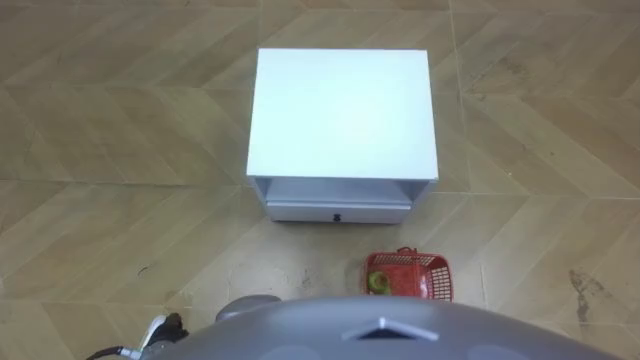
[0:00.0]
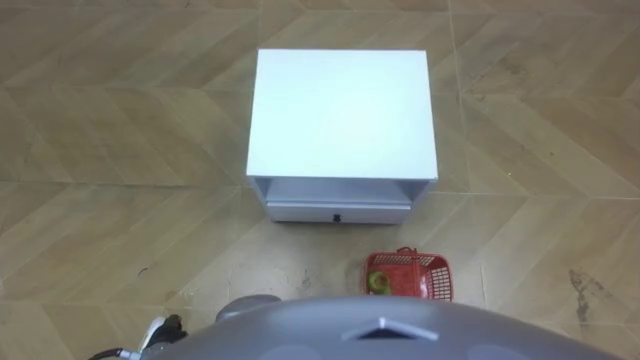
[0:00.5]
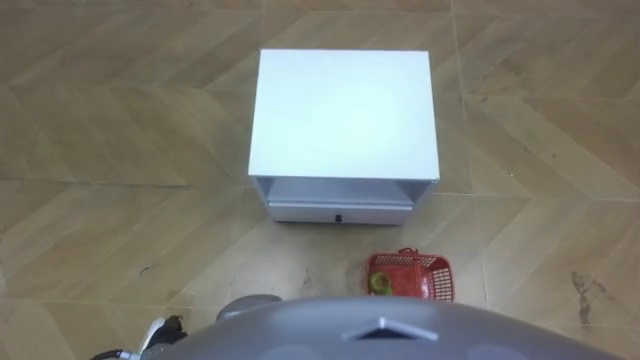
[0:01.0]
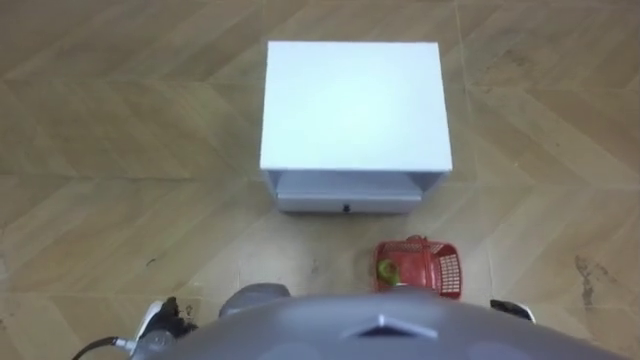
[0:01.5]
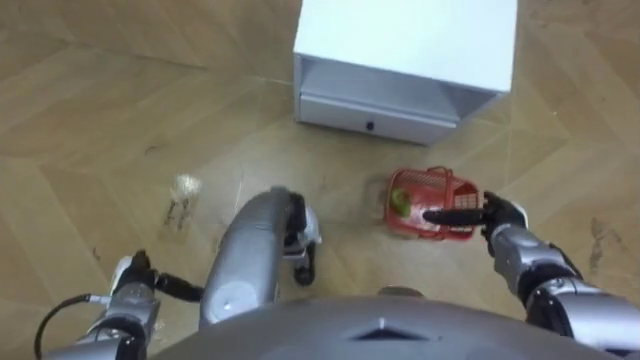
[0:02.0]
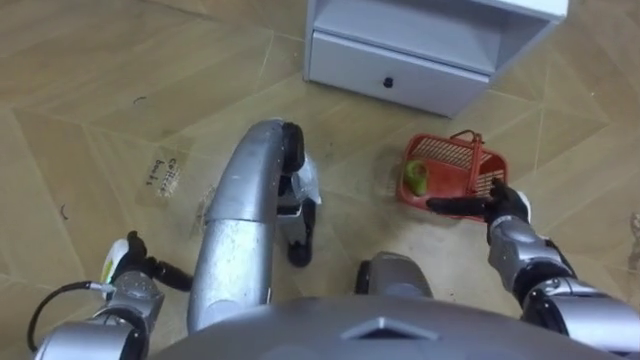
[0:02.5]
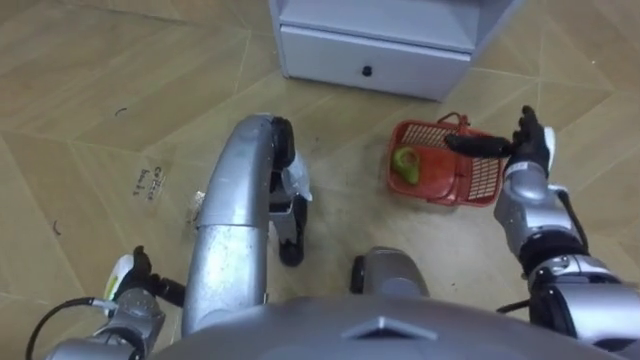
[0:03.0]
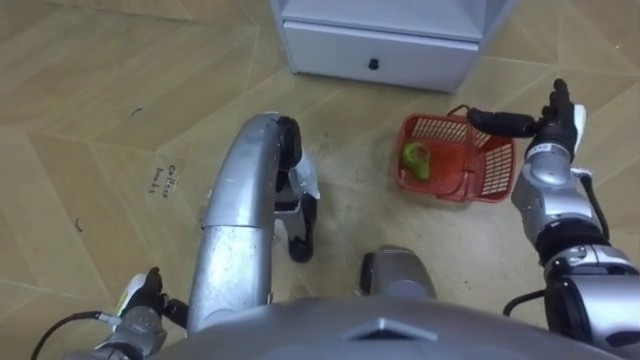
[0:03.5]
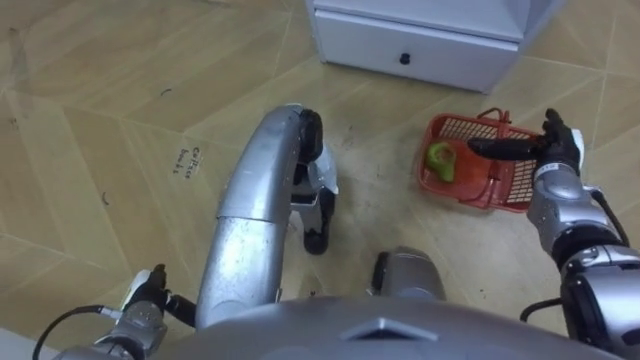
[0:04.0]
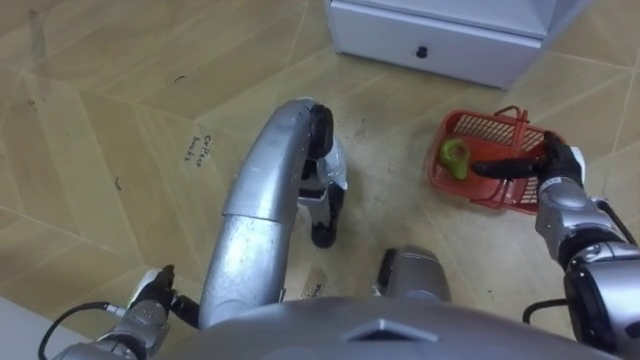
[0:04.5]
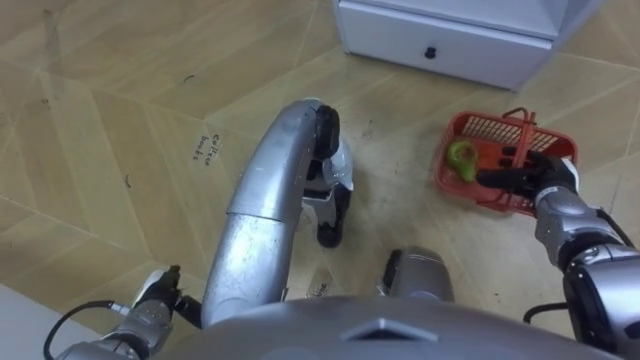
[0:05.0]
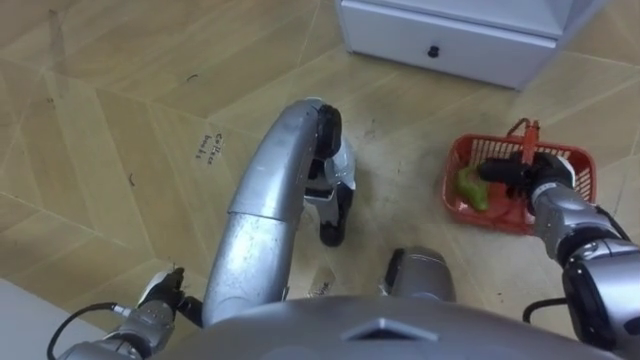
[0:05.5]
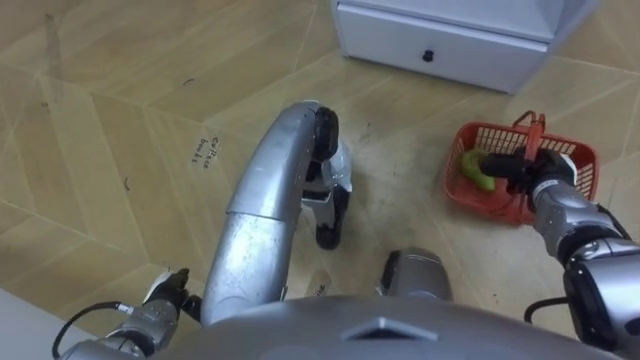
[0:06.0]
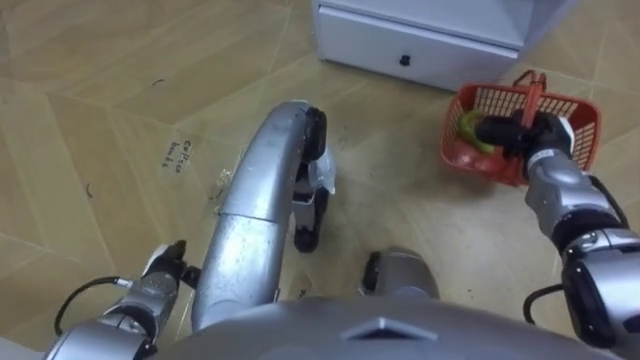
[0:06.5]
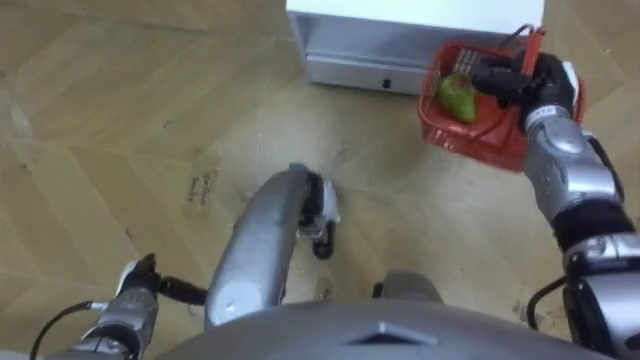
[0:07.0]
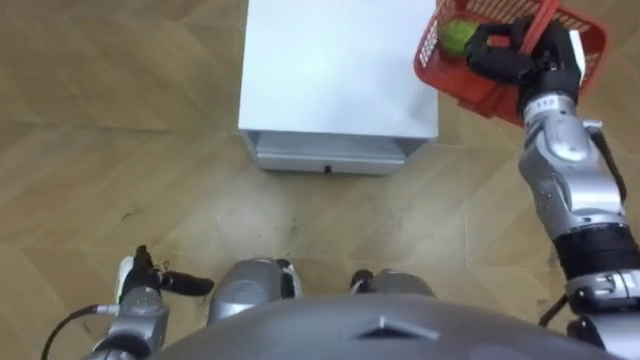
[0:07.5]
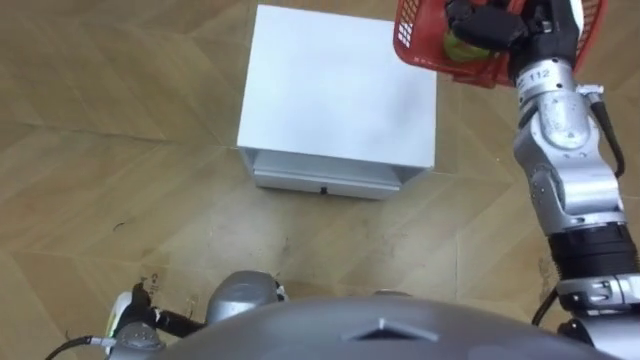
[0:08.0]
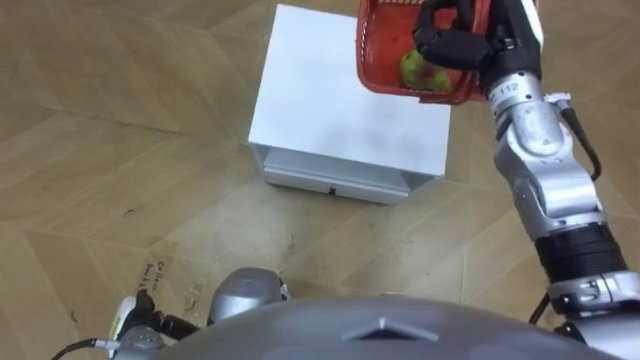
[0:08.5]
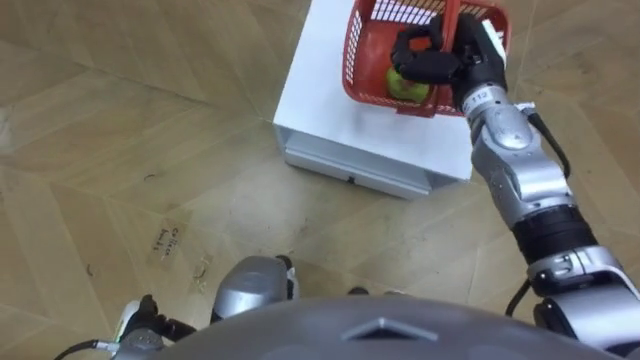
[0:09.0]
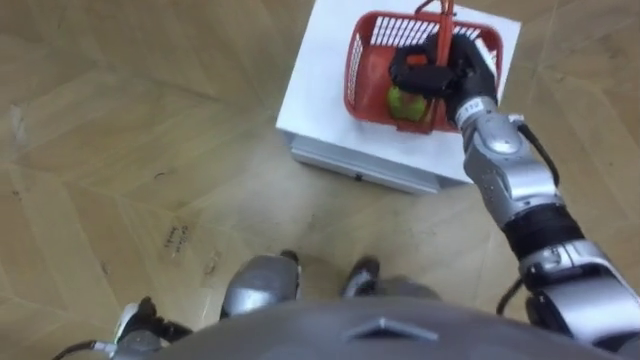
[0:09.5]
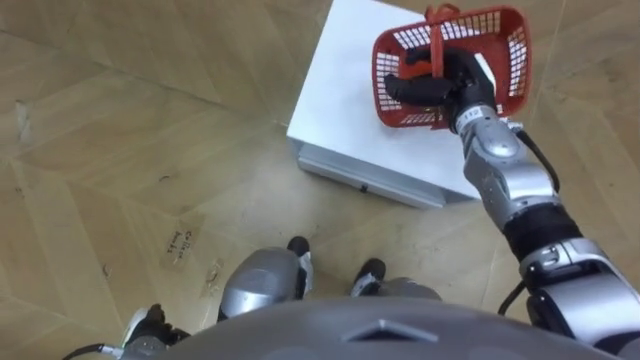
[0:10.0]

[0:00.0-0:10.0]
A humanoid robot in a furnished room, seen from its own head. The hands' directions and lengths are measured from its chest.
Task of the whole recording: Pick up the fruit basket from the floor and place it on the cabinet.
0:02.0 to 0:04.0: The right hand goes approximately 15 cm forward, upward and to the right.
0:04.0 to 0:06.0: The right hand closes.
0:06.0 to 0:08.0: The left hand shifts by roughly 5 cm; the right hand goes approximately 25 cm upward, forward and to the left.
0:08.0 to 0:10.0: The right hand travels downward by roughly 10 cm, and opens its fingers.

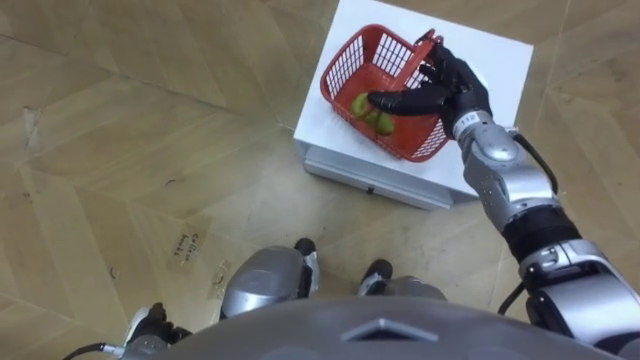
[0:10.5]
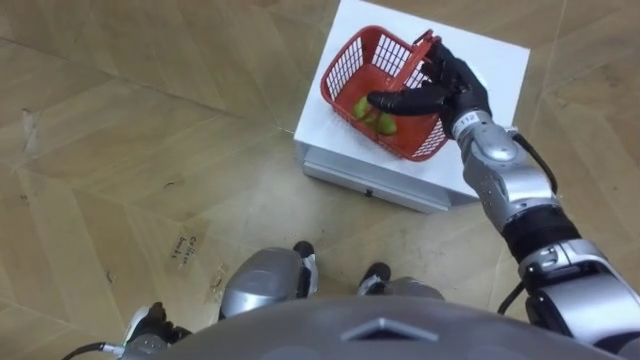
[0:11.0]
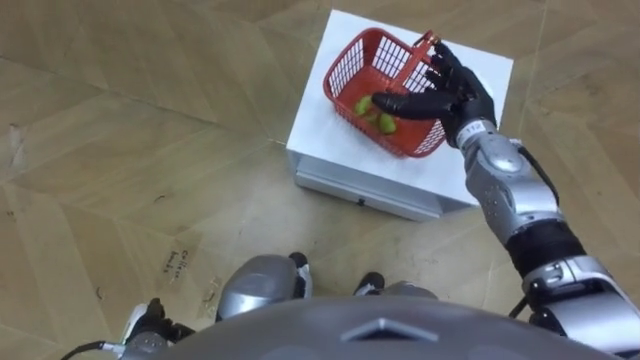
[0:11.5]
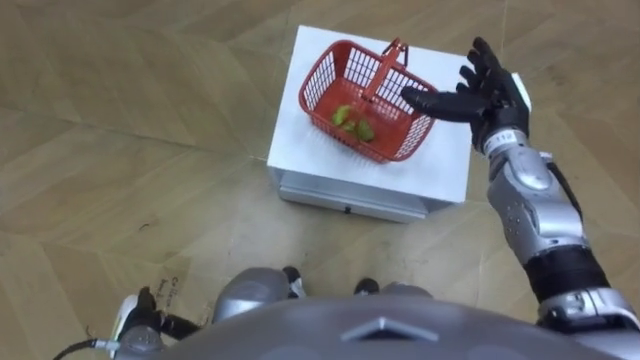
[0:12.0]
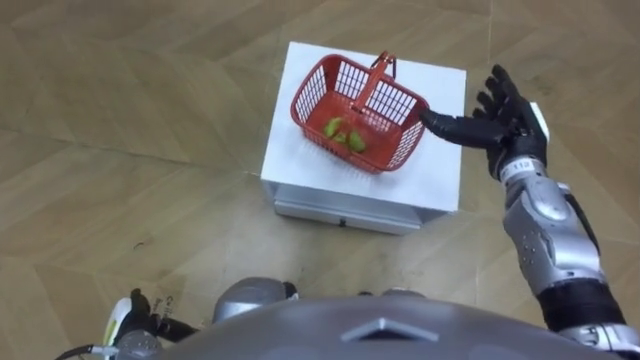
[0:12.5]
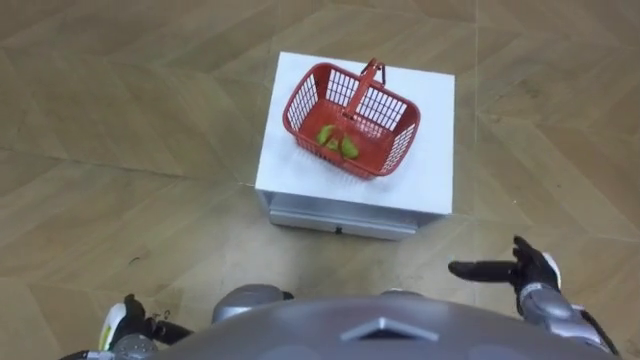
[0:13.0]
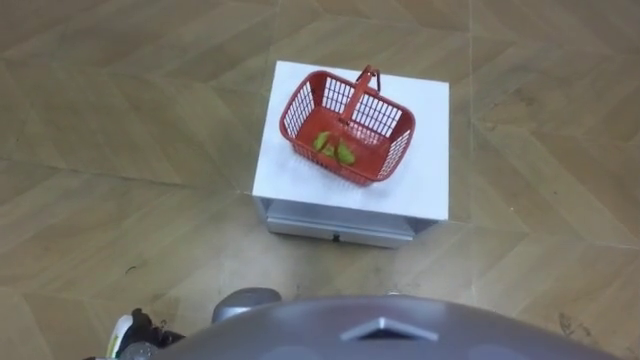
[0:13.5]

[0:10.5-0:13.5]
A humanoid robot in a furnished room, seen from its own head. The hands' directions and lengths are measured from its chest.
Task of the whole recording: Pick up the fruit basket from the floor and place it on the cabinet.
0:10.5 to 0:12.0: The right hand changes place by approximately 5 cm.
0:12.0 to 0:13.5: The right hand heads backward and downward, covering some 35 cm.

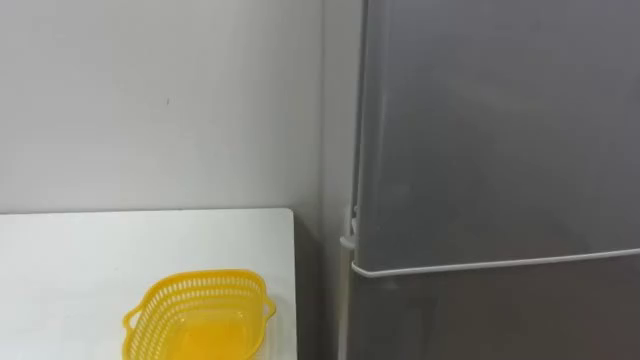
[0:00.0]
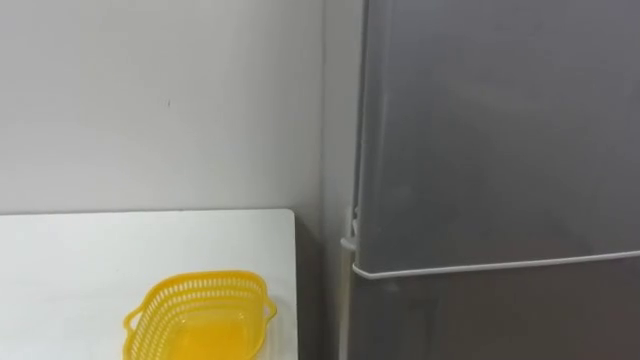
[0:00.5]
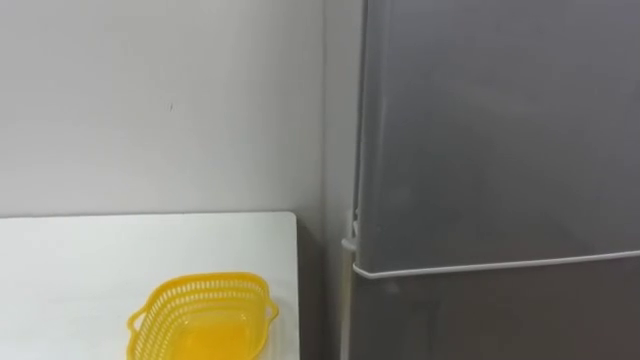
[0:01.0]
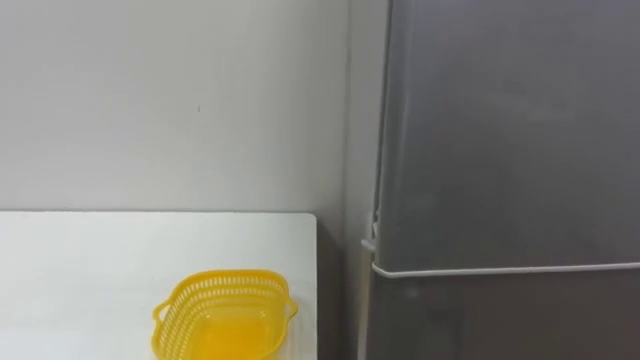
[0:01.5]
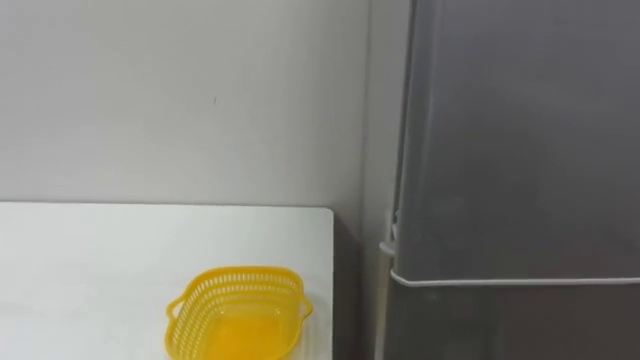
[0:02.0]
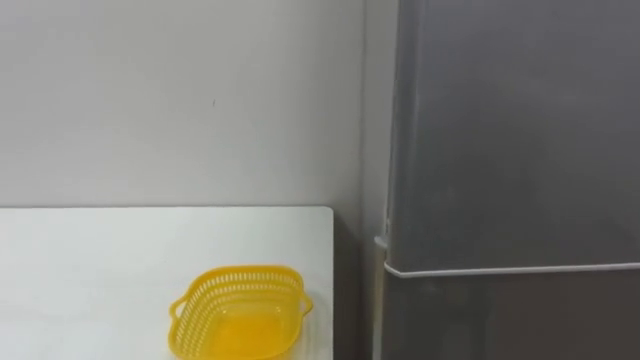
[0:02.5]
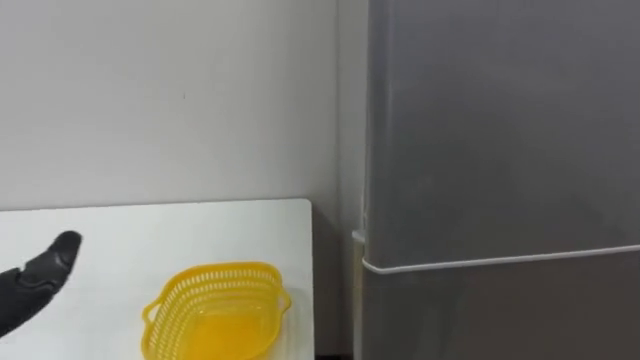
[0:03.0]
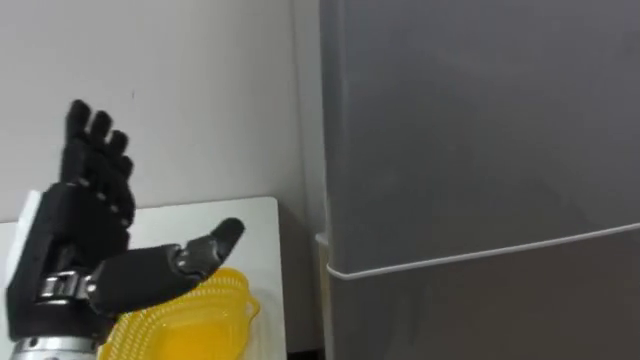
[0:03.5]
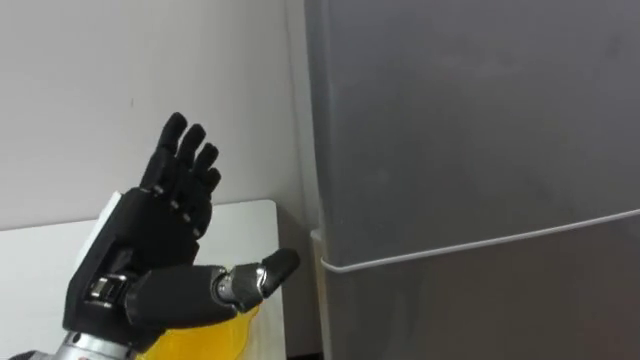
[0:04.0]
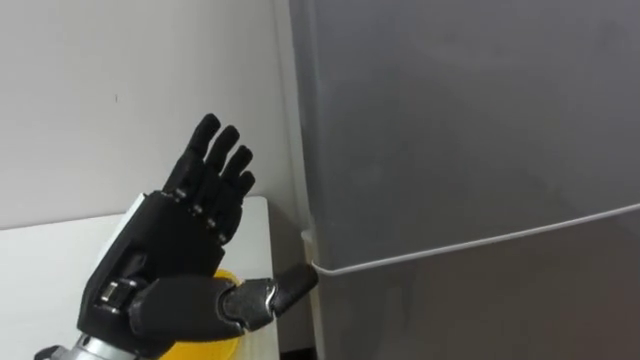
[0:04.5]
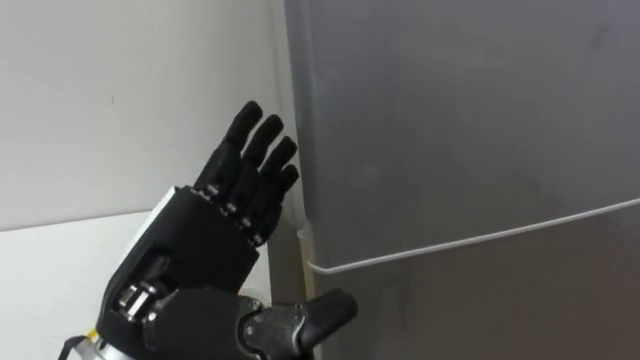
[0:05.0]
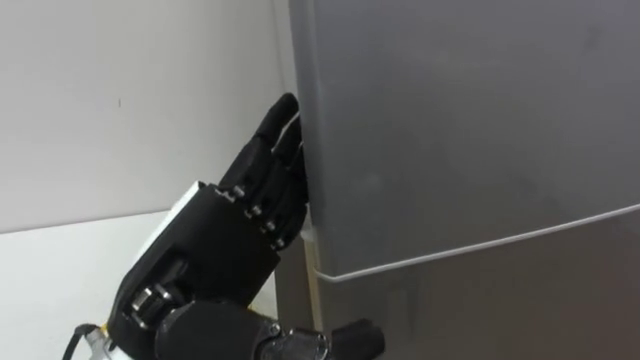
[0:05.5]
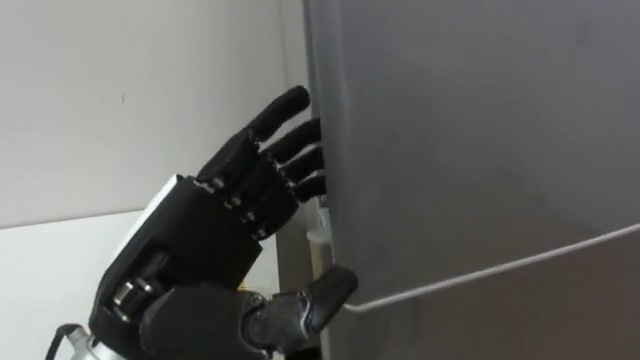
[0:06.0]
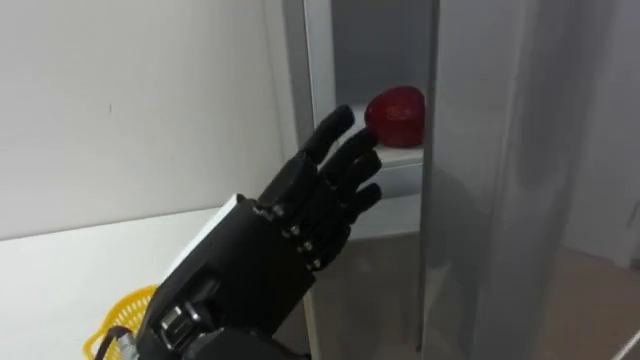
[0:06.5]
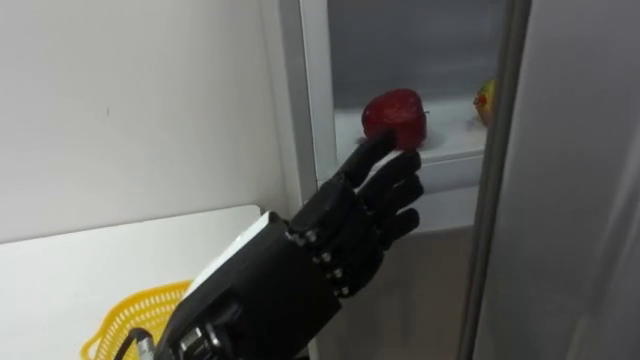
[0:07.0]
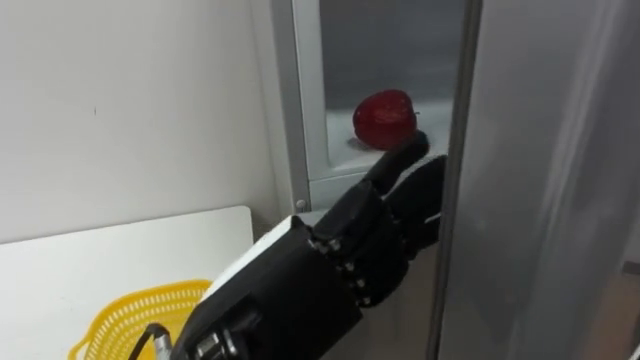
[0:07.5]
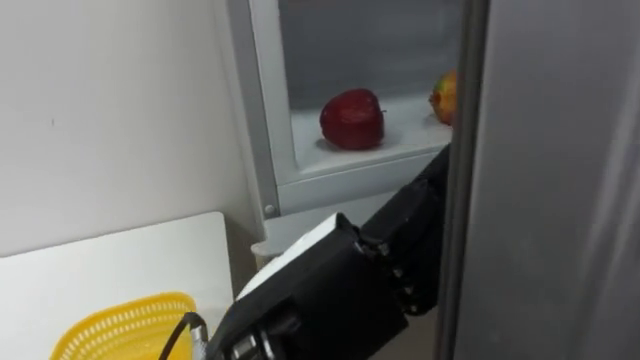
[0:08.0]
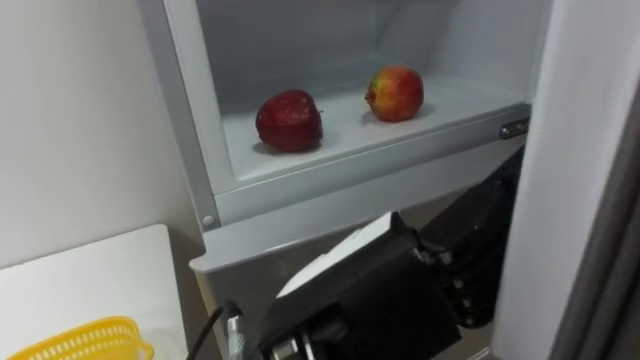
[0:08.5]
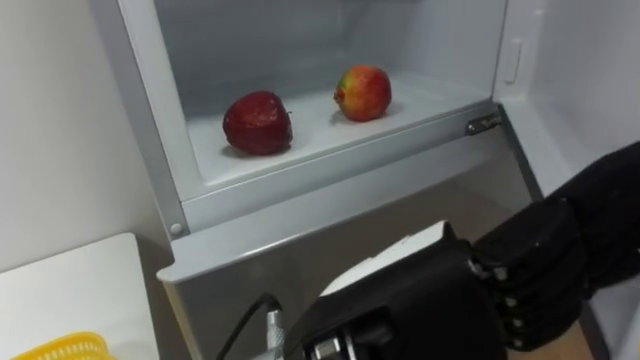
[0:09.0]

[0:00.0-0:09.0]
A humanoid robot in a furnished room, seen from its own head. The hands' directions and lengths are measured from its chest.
Task of the whole recording: Open the refrigerator door, take out the apple and the pomegranate, place them in the fruit basket on the left, and close the refrigerator door.
0:04.5 to 0:07.0: The left hand is displaced to the right and backward by about 10 cm.
0:07.0 to 0:09.0: The left hand moves to the right, some 10 cm.
